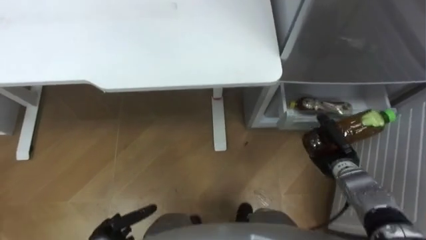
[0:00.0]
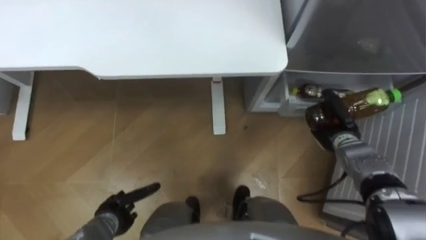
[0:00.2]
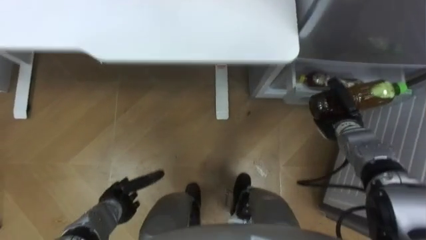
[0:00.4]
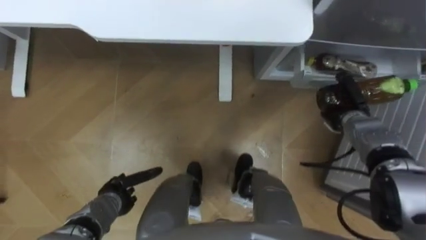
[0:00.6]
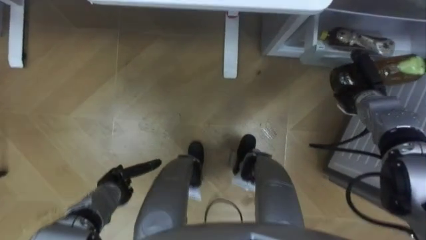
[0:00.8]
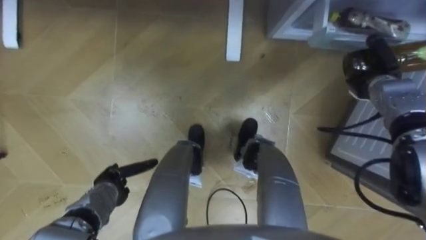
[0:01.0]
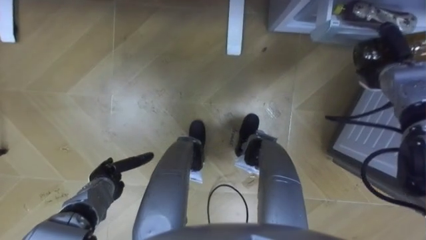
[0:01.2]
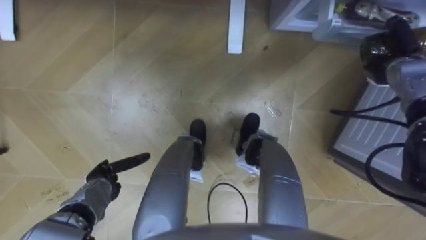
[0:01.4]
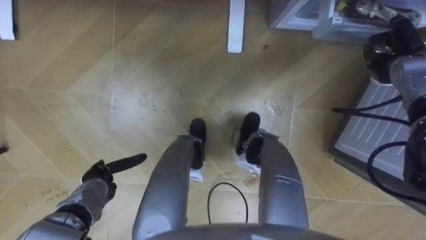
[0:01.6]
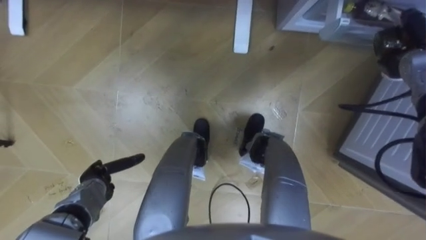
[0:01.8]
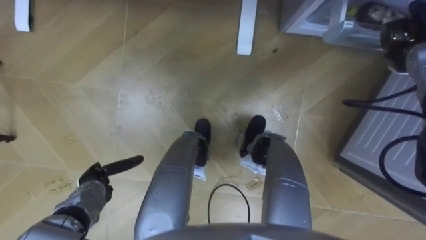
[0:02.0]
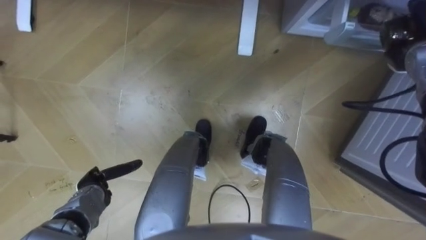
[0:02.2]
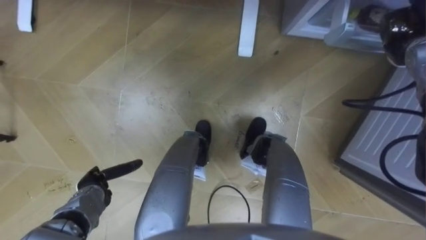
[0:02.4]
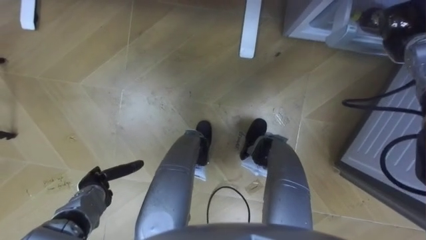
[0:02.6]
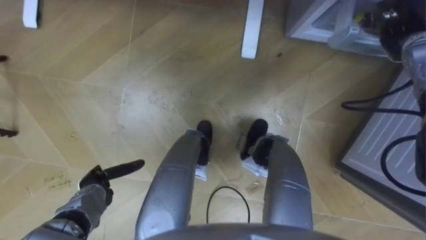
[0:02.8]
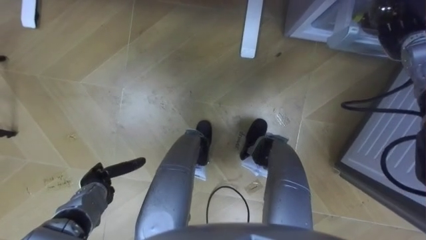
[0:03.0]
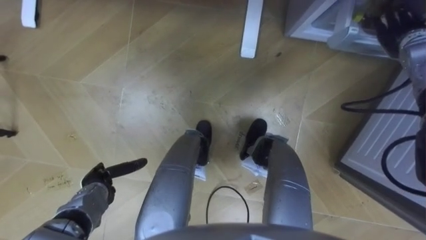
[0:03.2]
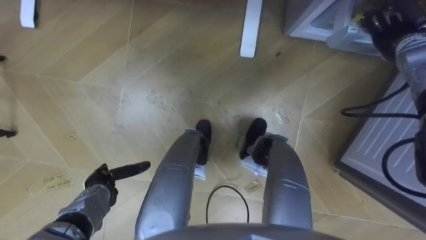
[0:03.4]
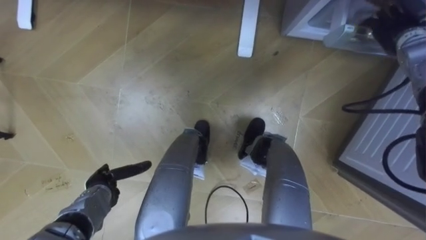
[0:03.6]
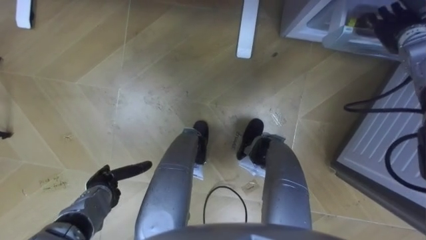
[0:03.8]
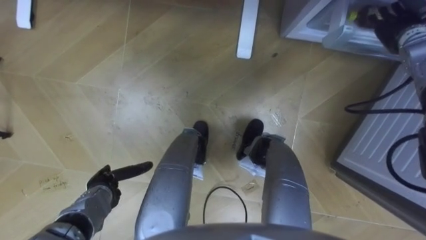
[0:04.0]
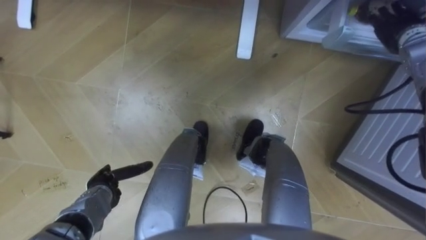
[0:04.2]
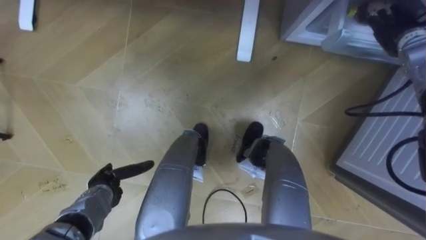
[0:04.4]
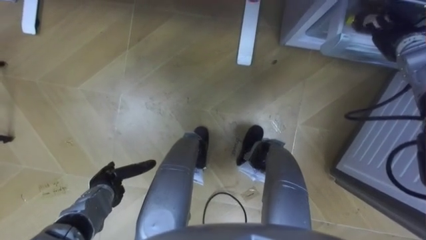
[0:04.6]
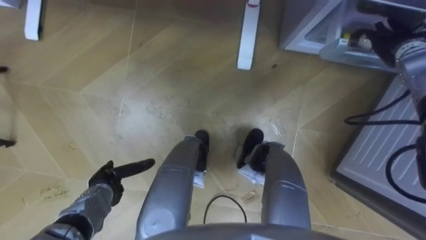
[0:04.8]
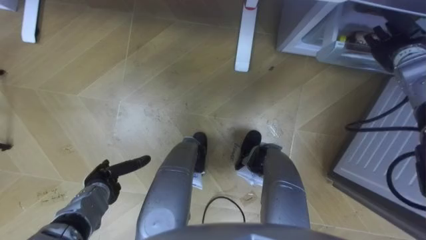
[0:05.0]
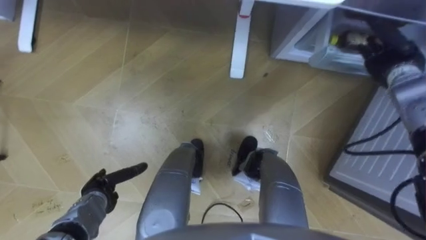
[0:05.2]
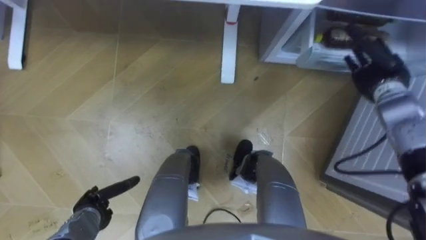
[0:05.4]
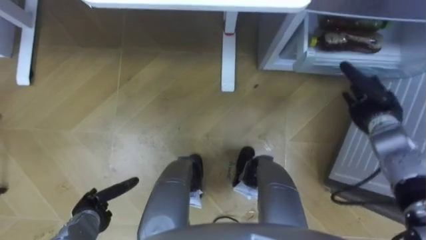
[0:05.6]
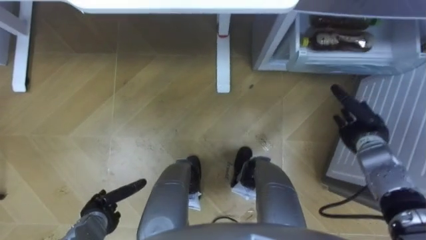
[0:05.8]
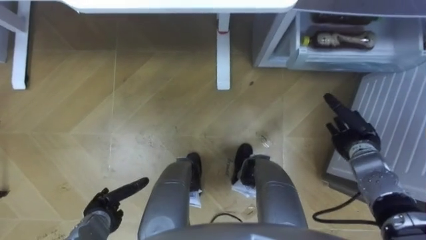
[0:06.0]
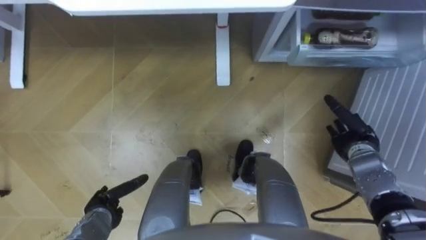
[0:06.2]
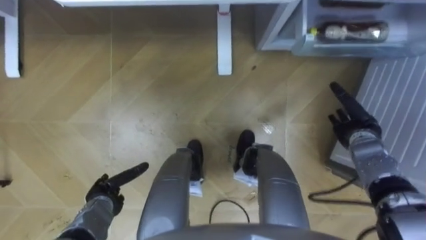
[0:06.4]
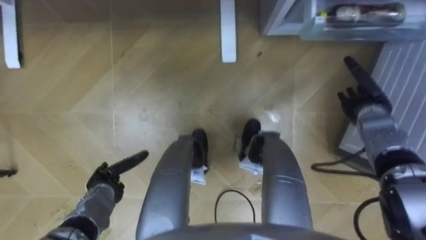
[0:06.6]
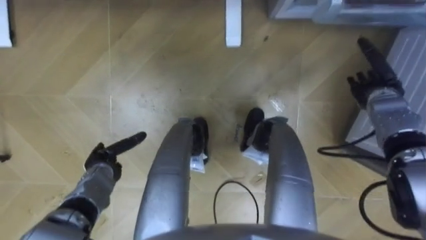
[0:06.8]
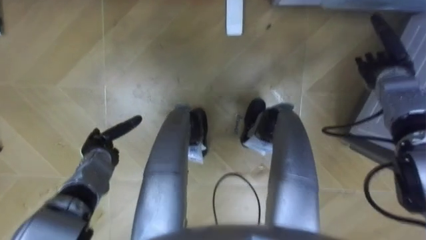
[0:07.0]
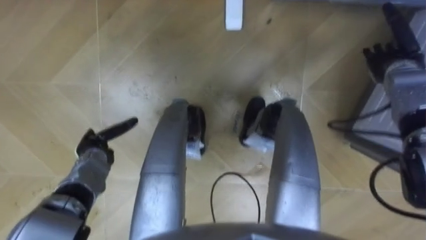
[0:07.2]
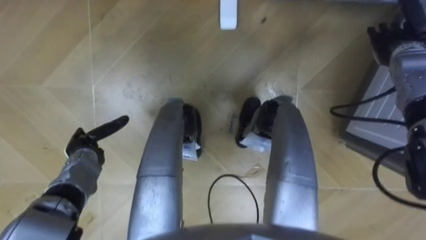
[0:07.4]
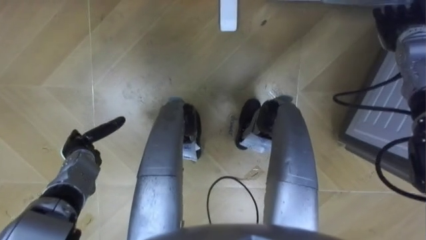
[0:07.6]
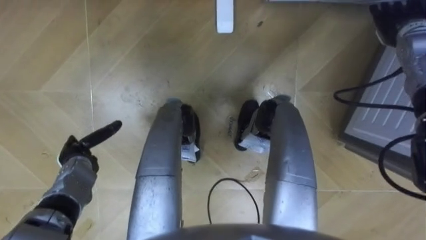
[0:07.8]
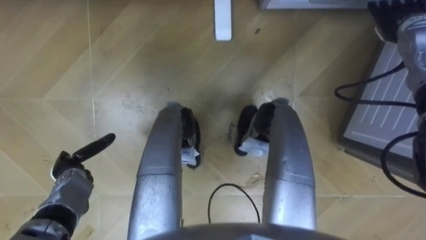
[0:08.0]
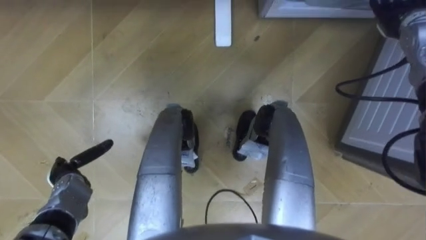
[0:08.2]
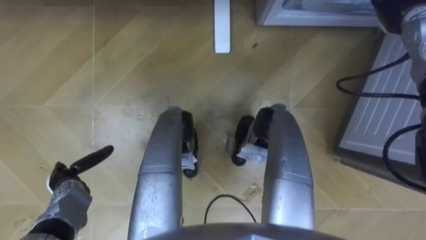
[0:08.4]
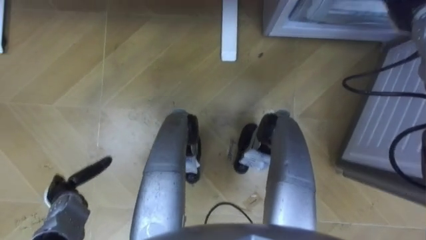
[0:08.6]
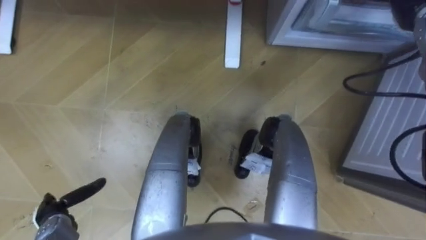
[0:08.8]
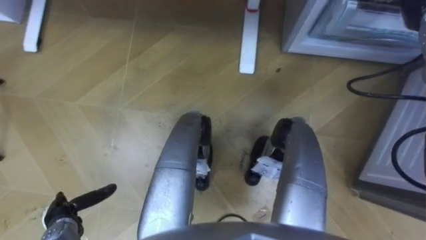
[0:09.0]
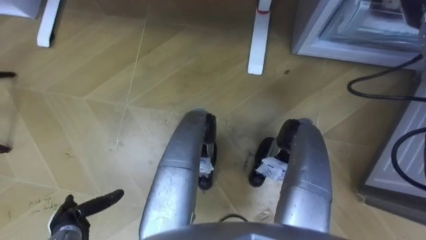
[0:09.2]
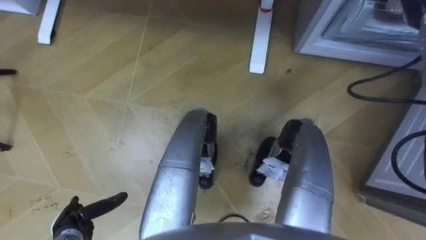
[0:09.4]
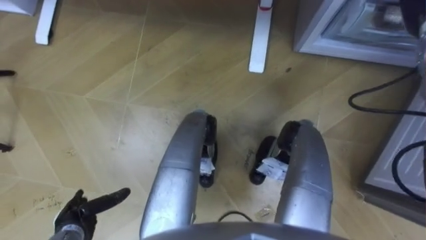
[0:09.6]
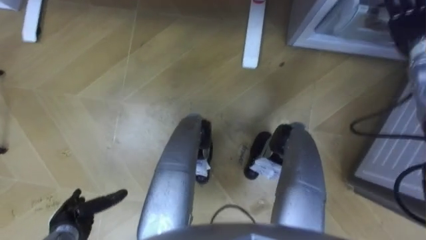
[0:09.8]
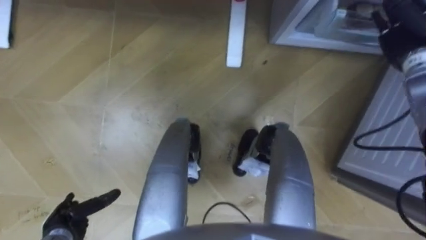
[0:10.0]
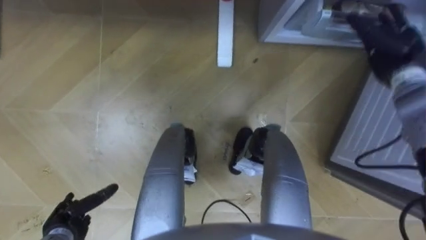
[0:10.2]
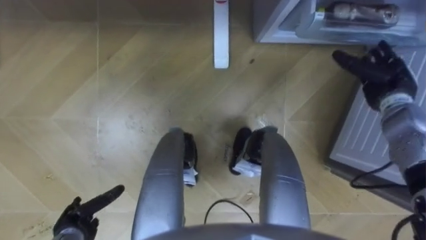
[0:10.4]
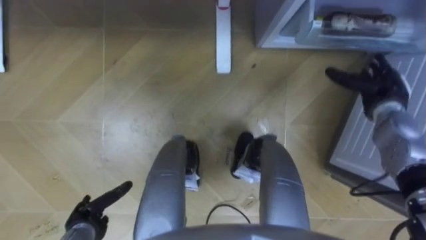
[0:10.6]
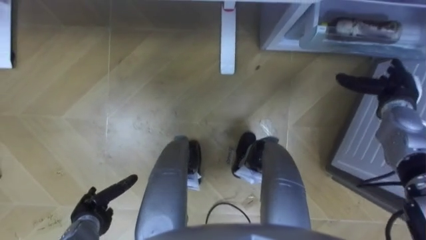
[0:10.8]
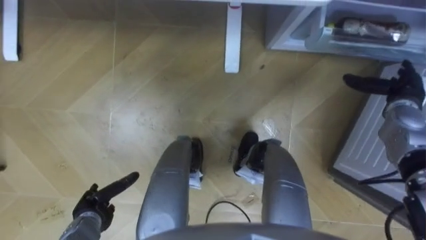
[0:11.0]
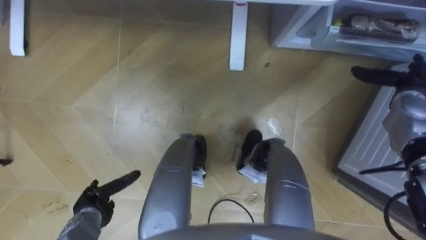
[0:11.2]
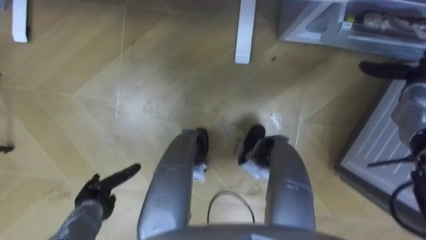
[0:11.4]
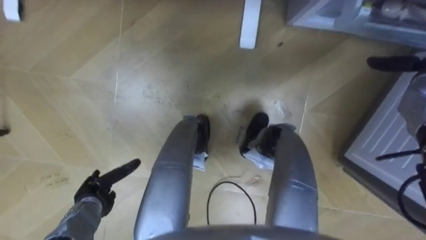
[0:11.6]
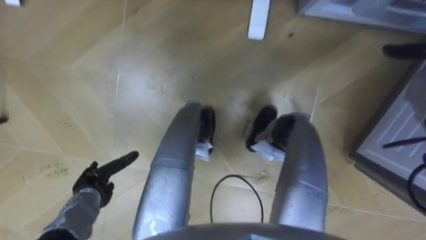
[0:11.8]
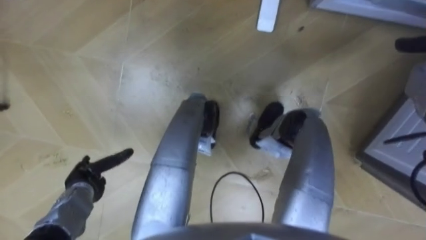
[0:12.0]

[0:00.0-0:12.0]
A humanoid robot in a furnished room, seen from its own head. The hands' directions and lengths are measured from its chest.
Task of the whole recording: Place the drink on the table on the bottom shelf of the refrigerator, then close the drawer and the refrigerator door.
0:00.0 to 0:01.6: The right hand heads forward, upward and to the right, covering approximately 20 cm. The left hand is displaced forward by roughly 10 cm.
0:01.6 to 0:03.0: The right hand changes place by about 5 cm, and opens up.
0:03.0 to 0:04.4: The right hand opens its fingers.
0:04.4 to 0:06.0: The right hand shifts approximately 25 cm downward and backward, while the left hand travels backward by some 5 cm.
0:06.0 to 0:07.6: The right hand shifts some 25 cm upward and forward. The left hand heads forward and upward, covering some 15 cm.
0:07.6 to 0:09.0: The left hand shifts approximately 15 cm backward.
0:10.4 to 0:12.0: The left hand travels forward by some 10 cm.

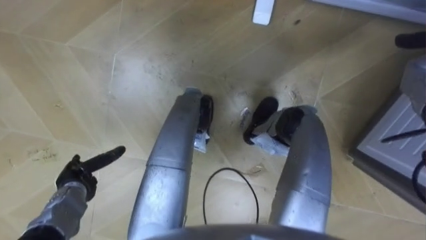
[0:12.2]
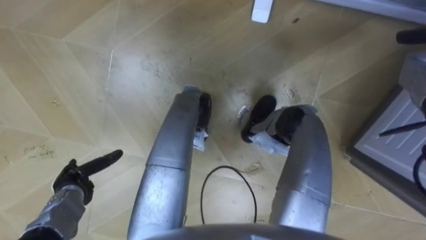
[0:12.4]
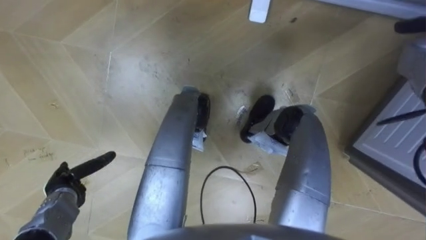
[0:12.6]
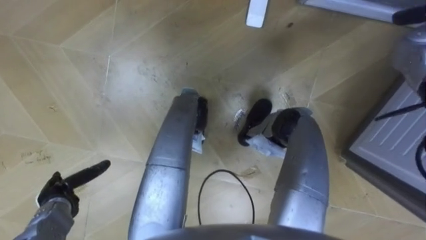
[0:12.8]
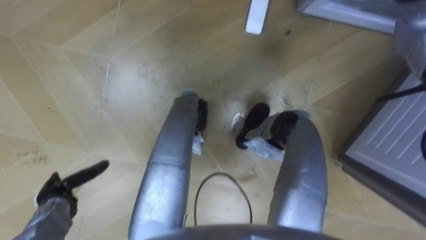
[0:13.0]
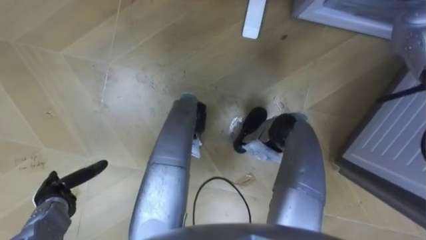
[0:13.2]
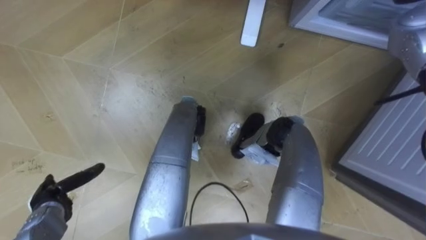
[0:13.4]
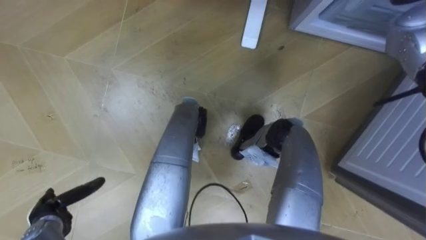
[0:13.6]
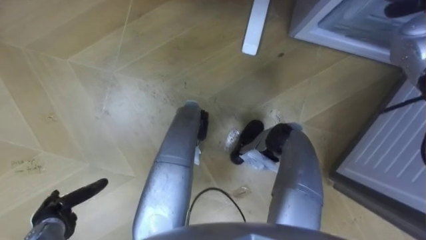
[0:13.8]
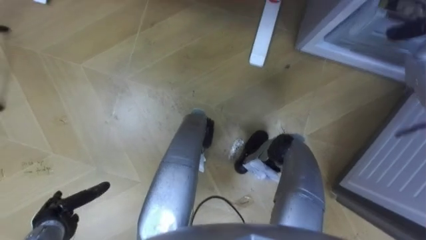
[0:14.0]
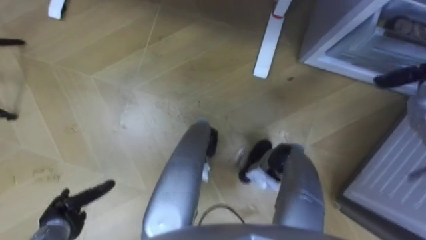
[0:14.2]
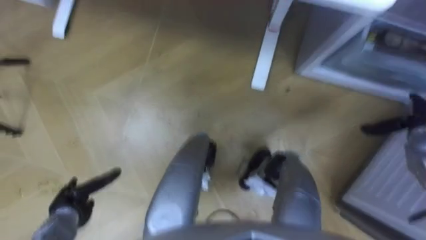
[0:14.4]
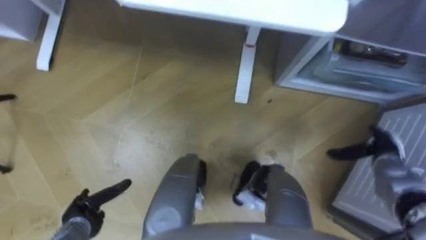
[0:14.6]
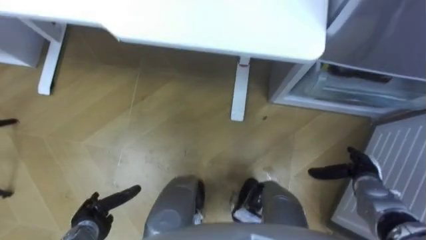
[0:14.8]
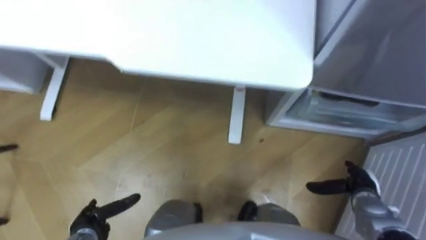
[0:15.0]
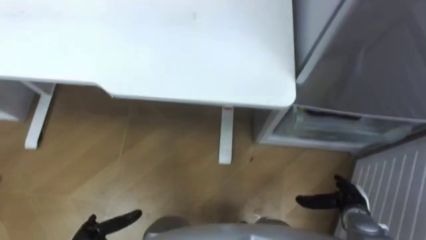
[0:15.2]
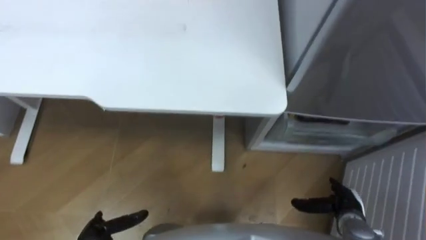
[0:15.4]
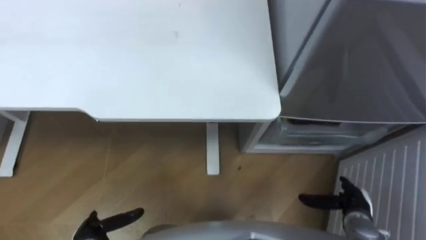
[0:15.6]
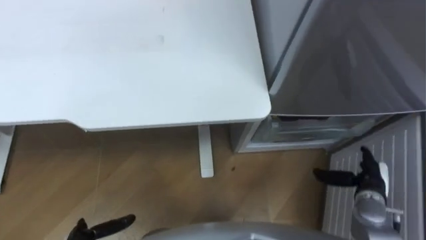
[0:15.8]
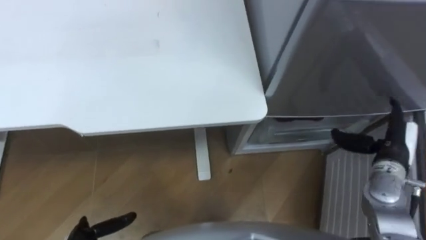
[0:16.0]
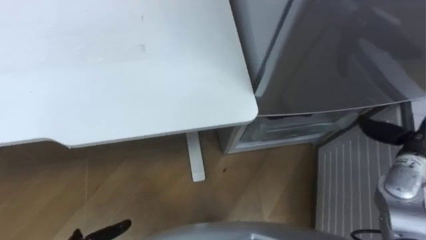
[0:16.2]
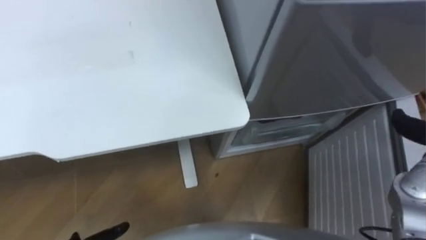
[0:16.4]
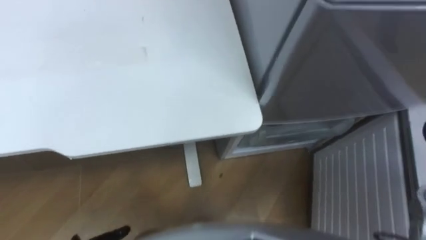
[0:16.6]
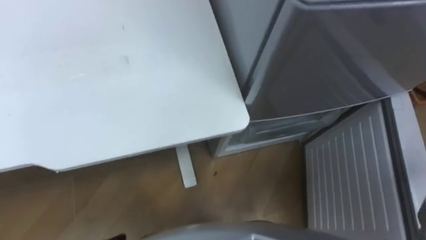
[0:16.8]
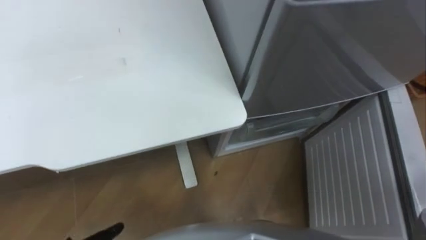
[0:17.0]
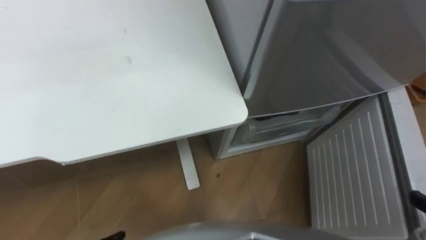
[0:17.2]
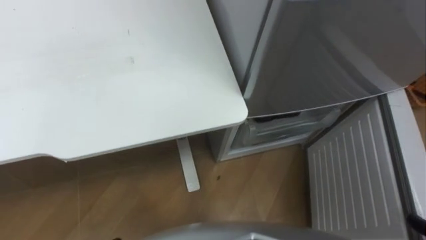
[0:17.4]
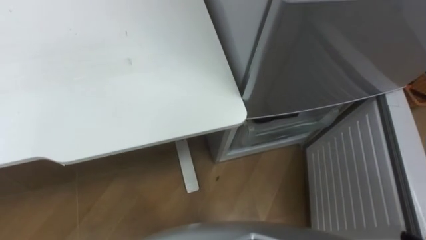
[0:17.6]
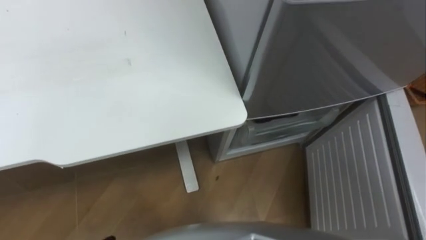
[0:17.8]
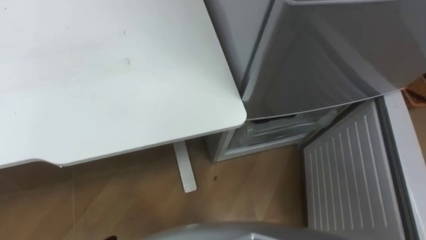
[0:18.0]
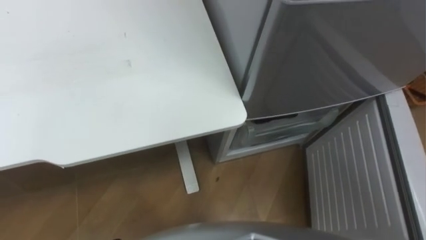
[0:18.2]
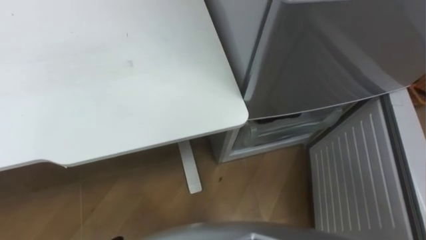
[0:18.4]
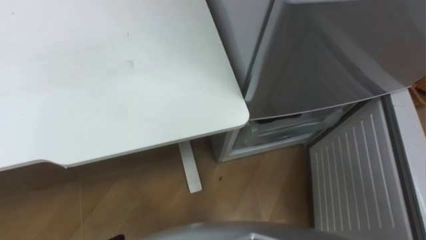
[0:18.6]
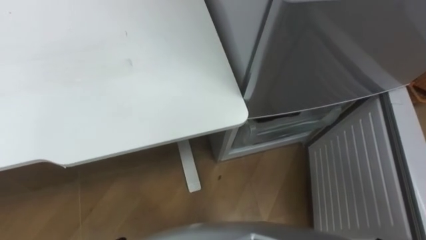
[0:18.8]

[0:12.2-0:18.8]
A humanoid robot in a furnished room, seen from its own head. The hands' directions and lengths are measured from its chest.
Task of the whole recording: Place the drink on the table on the bottom shelf of the refrigerator, then close the drawer and the refrigerator door.
0:12.2 to 0:13.8: The left hand goes some 10 cm backward.
